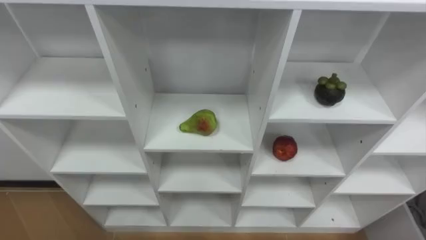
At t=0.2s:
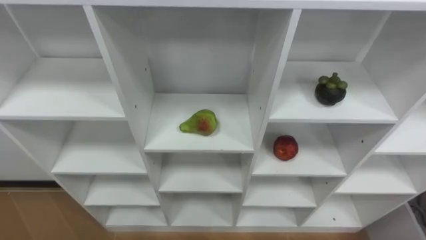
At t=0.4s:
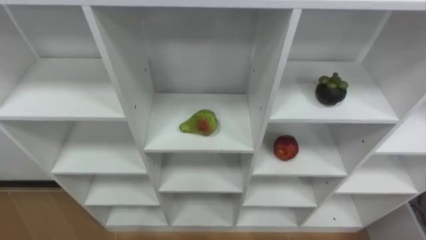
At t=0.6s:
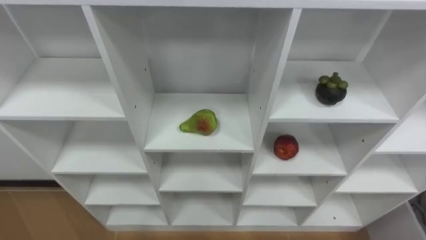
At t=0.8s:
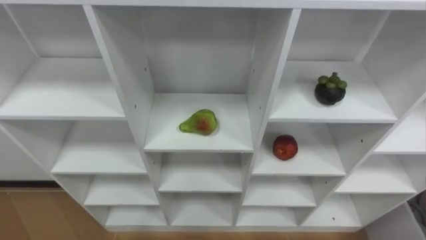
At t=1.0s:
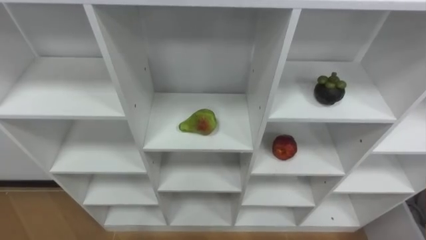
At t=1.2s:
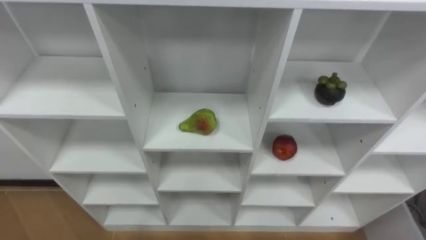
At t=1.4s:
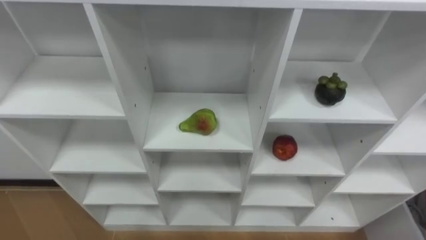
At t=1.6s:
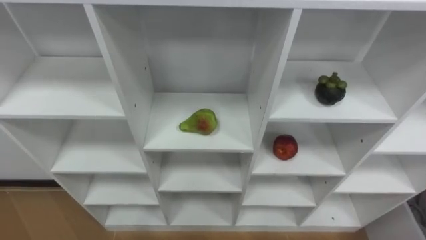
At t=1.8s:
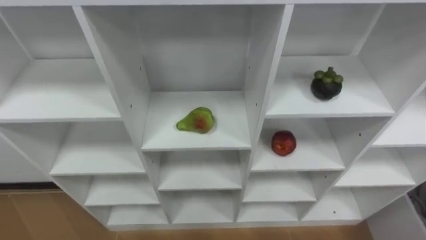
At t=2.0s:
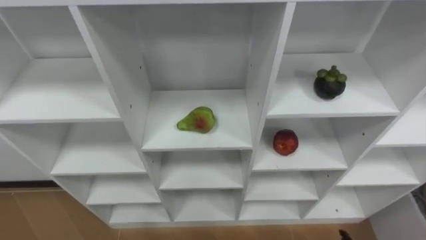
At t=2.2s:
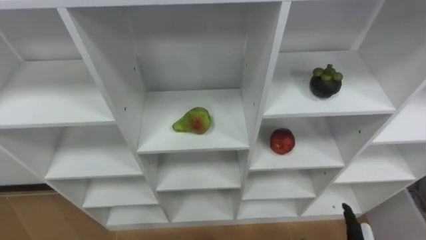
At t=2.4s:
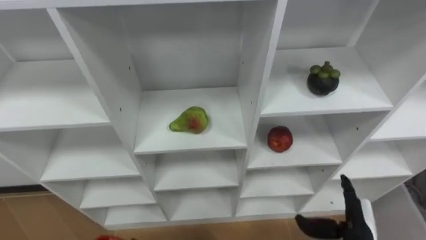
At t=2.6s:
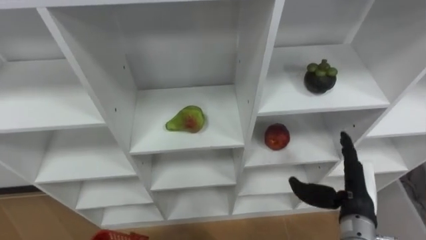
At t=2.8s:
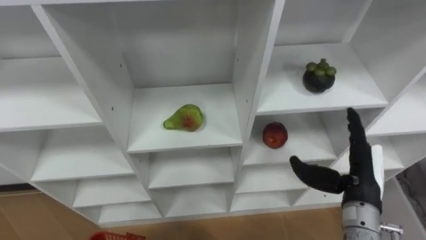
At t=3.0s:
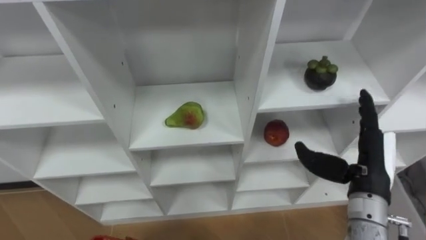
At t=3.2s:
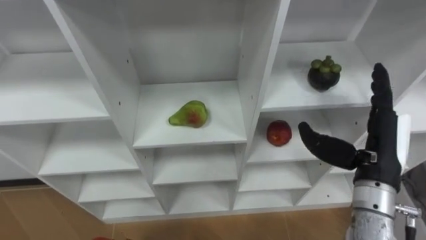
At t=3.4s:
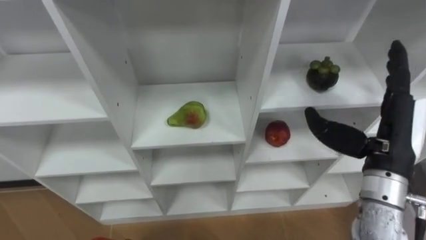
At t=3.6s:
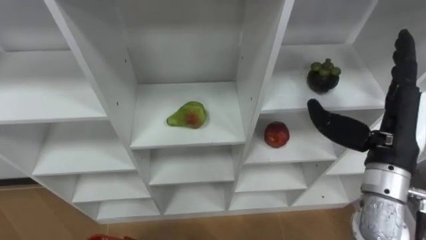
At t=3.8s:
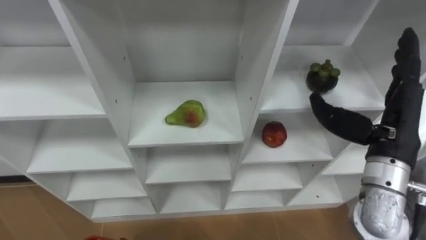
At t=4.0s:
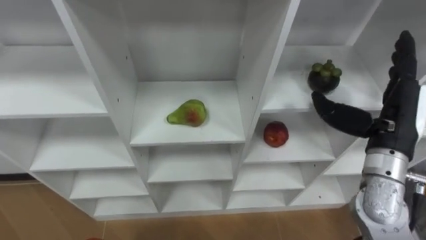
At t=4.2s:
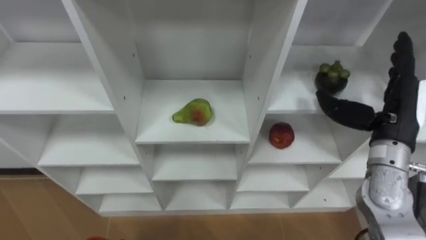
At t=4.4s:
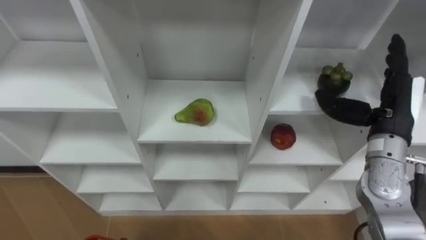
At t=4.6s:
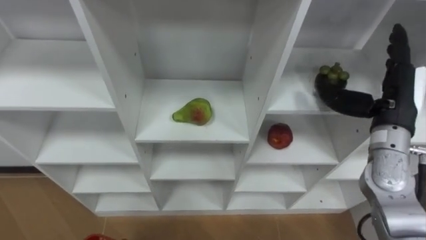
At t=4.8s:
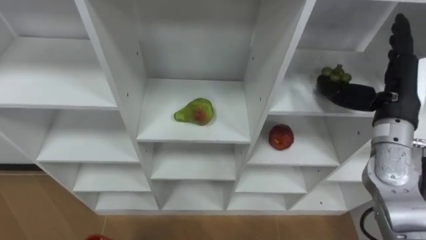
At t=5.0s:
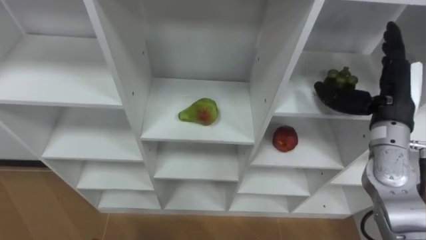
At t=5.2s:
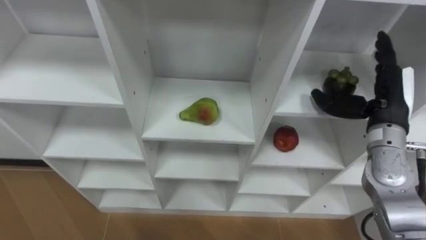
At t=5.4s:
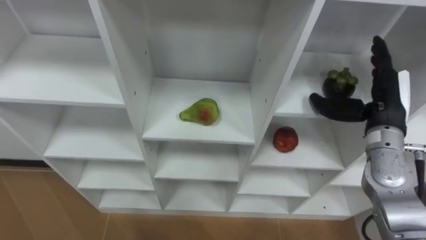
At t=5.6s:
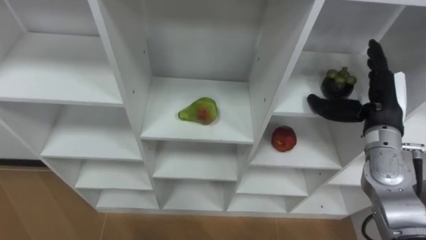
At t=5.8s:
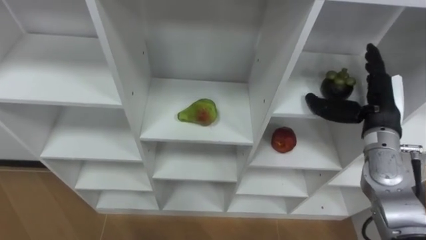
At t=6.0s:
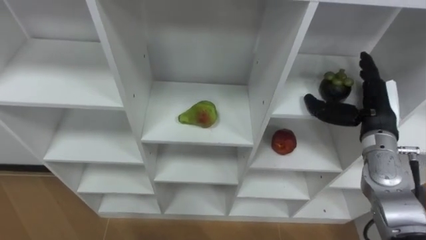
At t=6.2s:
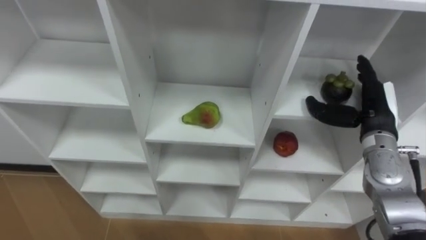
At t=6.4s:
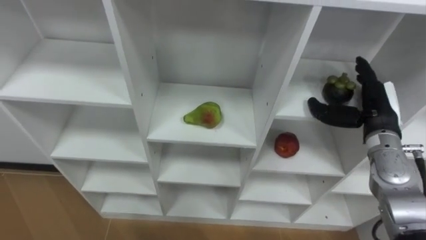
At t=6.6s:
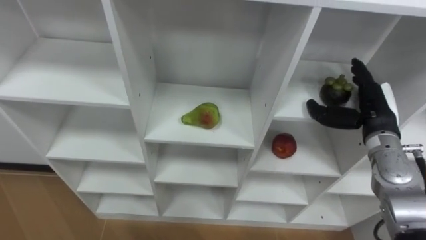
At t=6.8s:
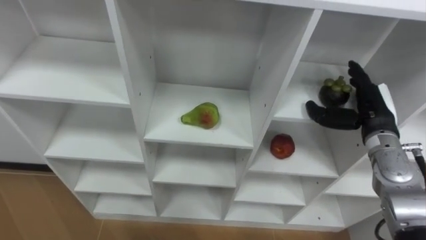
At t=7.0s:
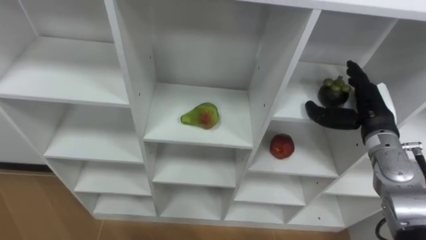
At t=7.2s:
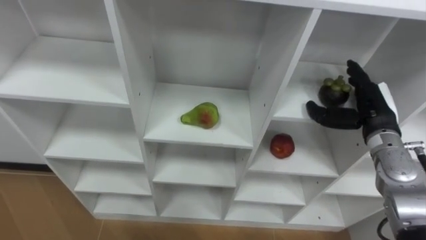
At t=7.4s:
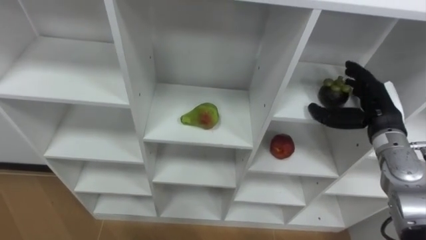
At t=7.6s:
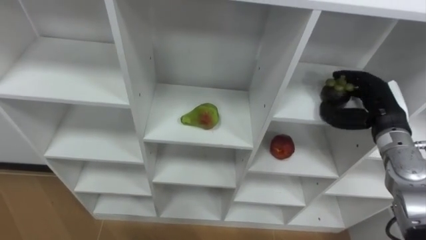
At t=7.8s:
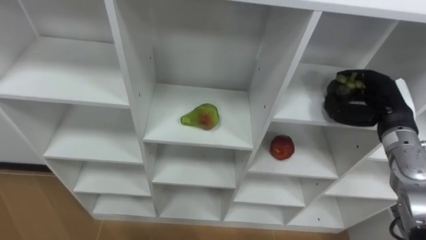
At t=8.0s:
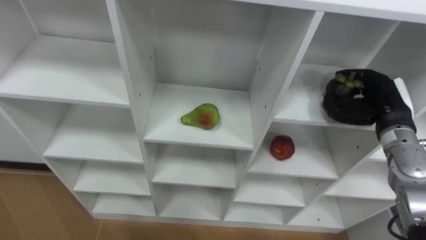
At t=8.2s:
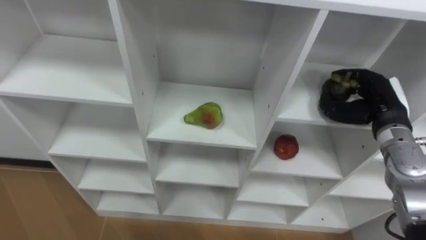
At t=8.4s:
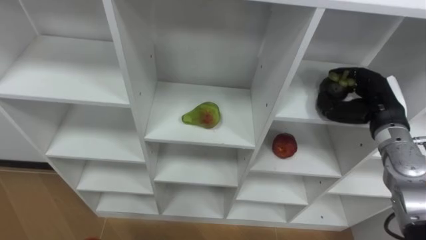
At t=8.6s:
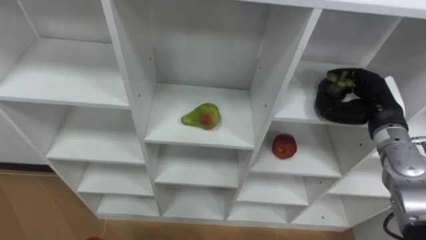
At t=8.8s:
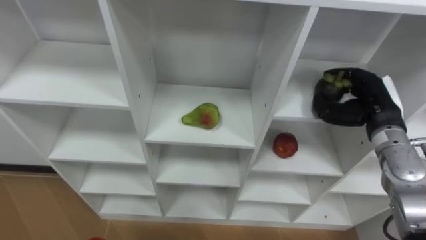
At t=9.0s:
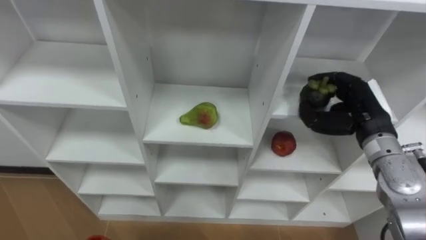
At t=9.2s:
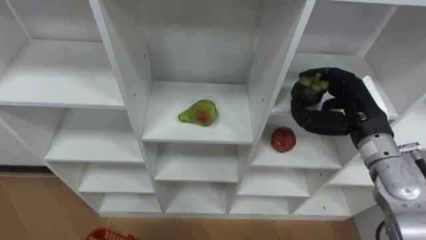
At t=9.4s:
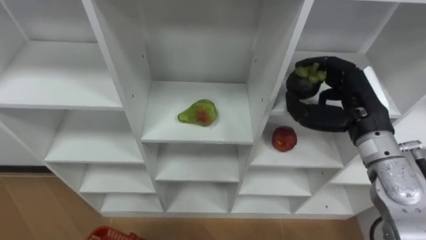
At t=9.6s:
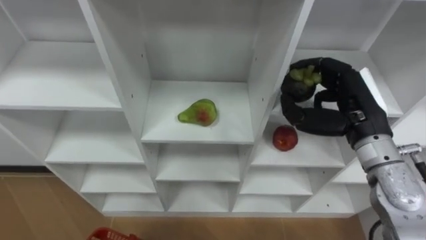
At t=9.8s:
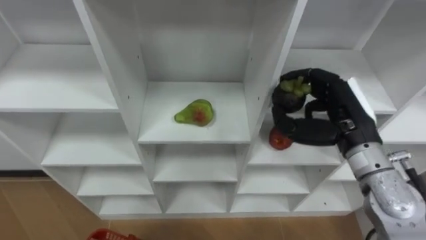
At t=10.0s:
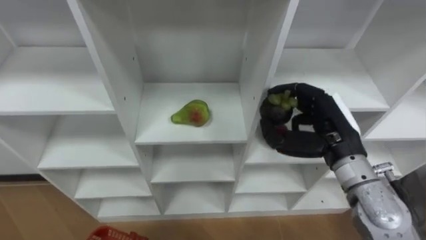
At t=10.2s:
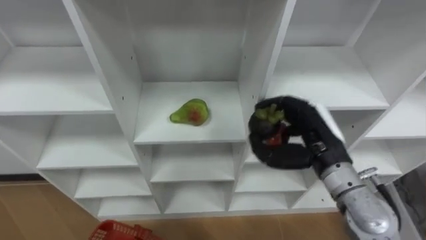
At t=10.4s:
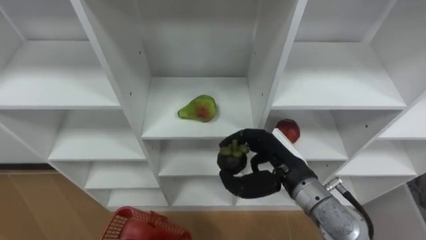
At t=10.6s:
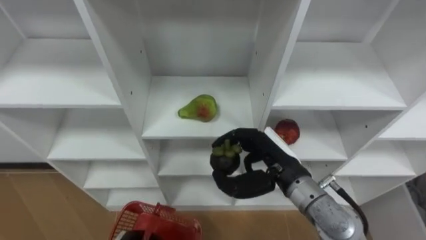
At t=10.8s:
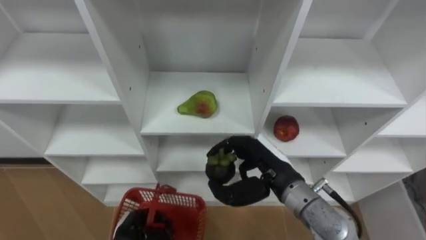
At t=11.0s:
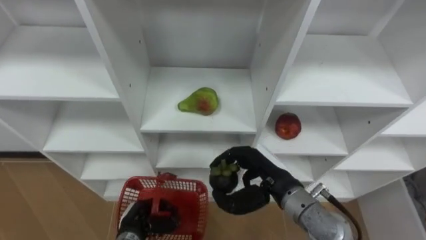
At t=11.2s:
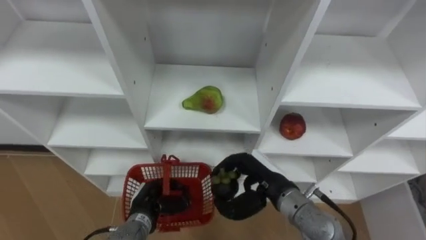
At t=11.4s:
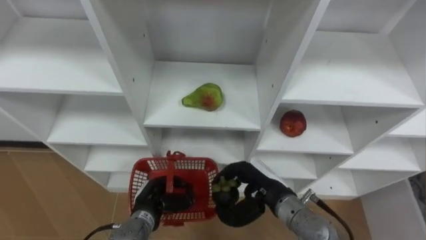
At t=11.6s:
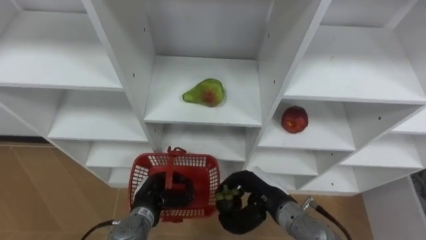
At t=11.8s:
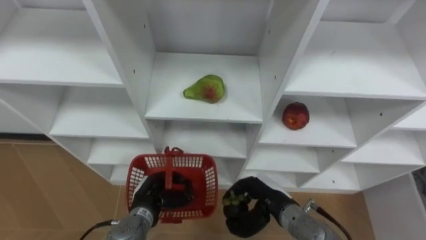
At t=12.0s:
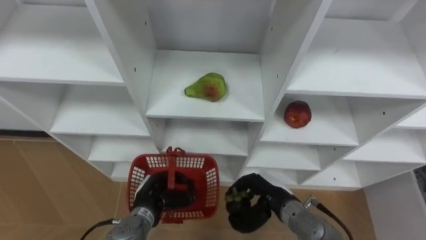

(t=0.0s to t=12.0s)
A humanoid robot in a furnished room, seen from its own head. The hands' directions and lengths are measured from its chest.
Task of the whole recording: Hold the basket and collect the fruits from 3 different cells of the closet into it.
t=3.0s - t=4.4s: The right hand moves forward and upward, approximately 10 cm.
t=9.0s - t=10.4s: The right hand shifts approximately 15 cm to the left and backward.
t=10.4s - t=12.0s: The right hand is displaced downward by approximately 10 cm.

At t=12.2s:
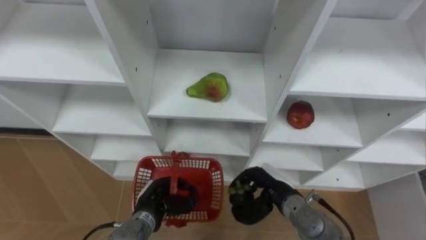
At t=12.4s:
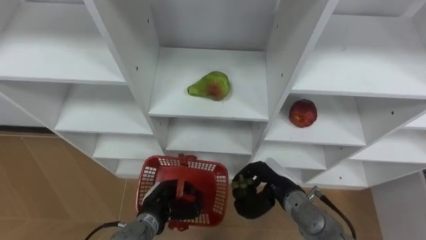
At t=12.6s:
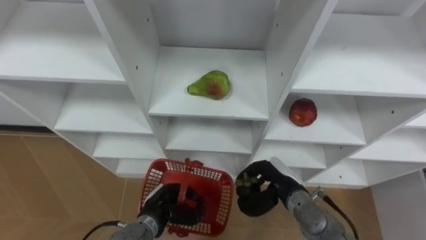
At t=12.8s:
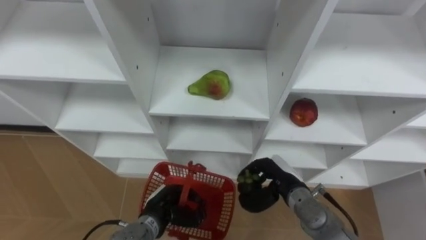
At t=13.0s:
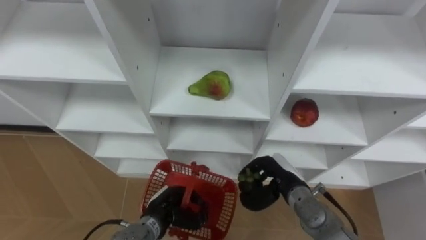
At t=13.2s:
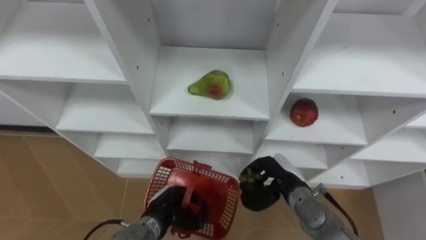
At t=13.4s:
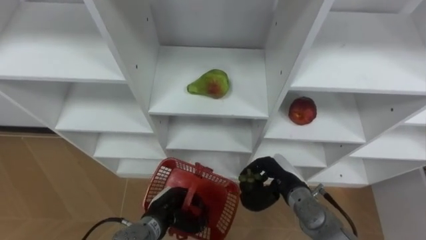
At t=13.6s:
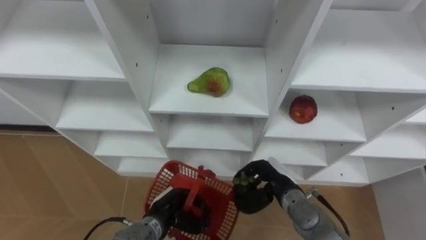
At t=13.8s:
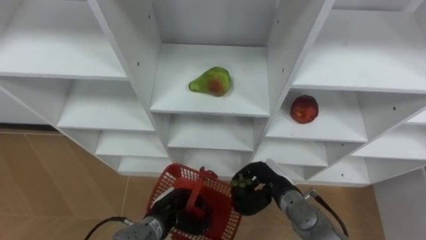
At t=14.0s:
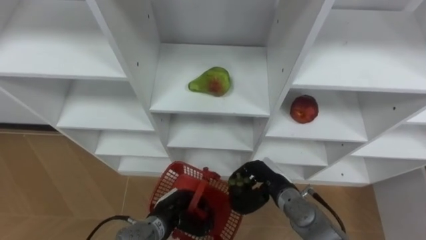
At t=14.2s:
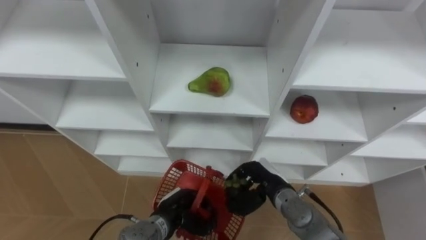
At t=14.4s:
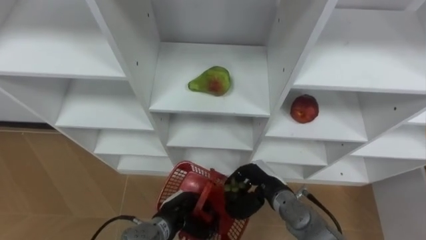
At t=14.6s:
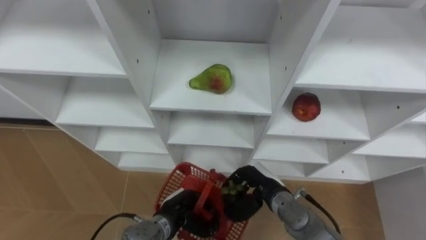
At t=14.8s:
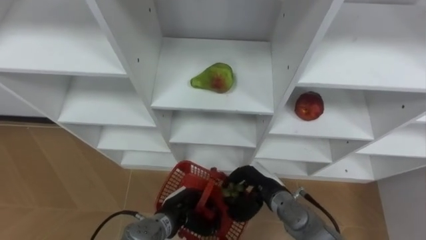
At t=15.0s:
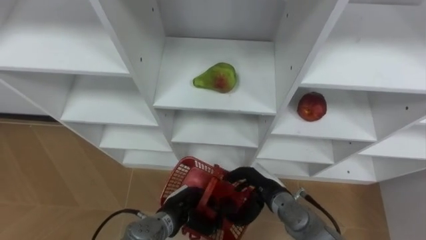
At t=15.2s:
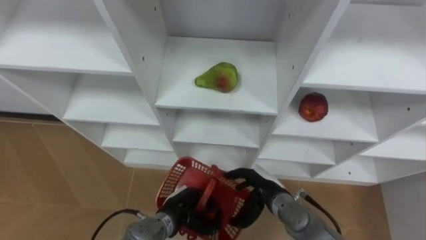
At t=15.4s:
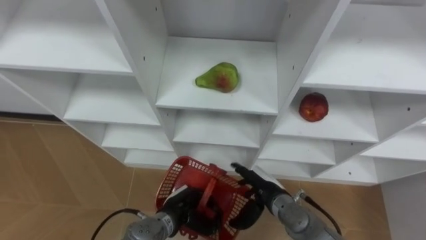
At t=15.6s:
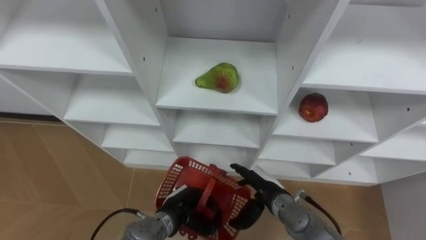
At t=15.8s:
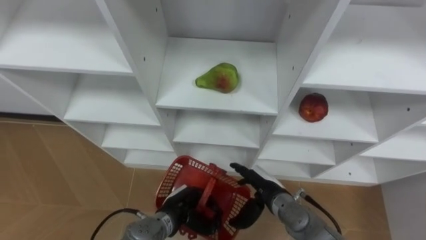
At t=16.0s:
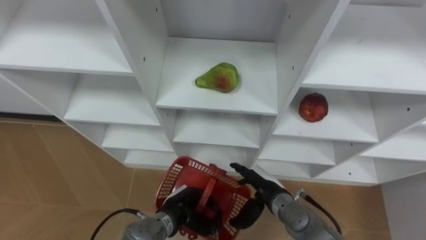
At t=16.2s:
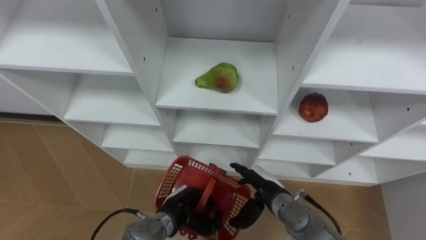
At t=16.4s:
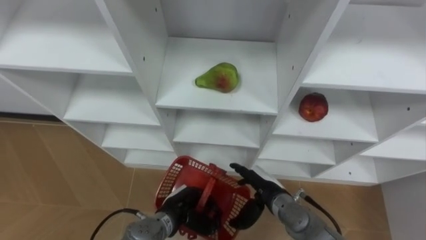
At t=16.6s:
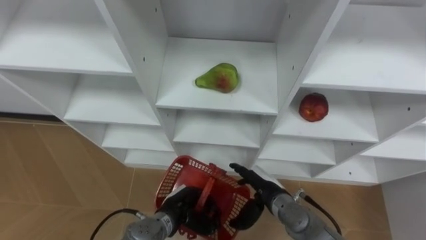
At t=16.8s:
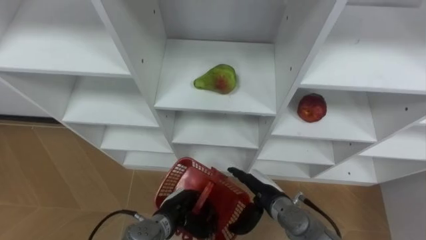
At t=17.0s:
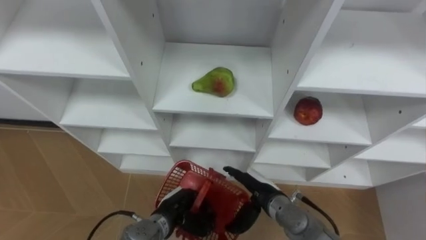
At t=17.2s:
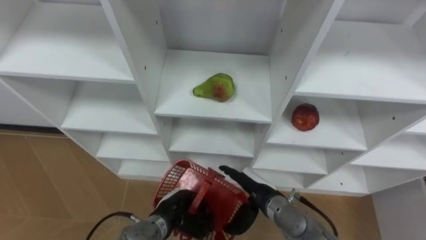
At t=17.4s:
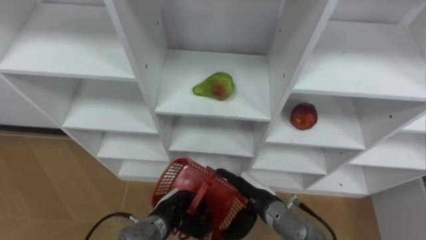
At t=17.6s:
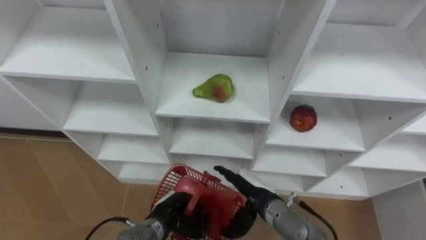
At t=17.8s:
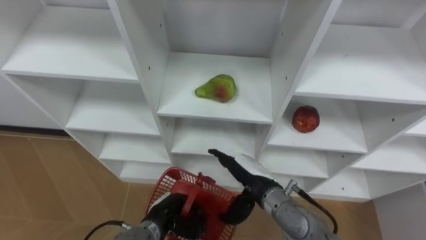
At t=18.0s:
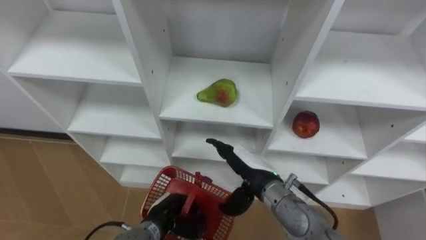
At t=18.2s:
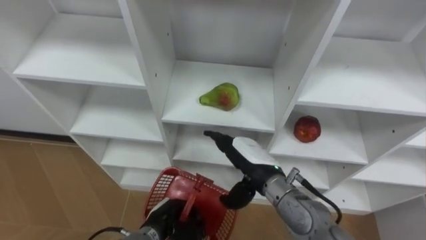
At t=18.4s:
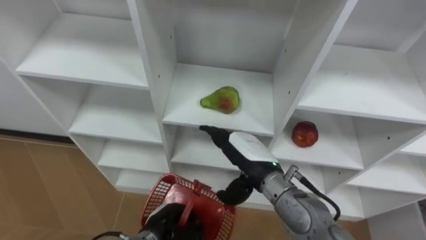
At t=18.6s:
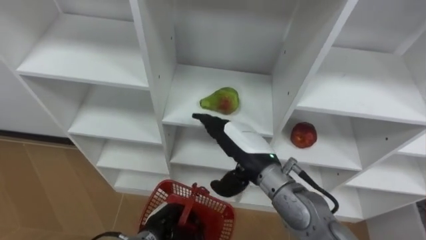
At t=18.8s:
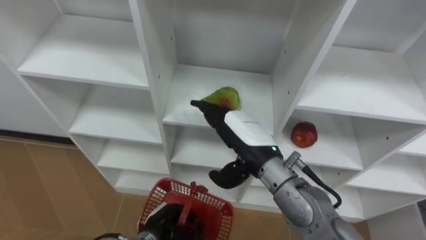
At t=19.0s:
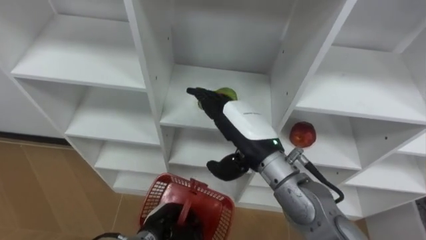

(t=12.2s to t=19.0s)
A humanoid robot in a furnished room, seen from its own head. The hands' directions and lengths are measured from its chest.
Task of the whole recording: Hold the basket and collect the fruits from 3 different cells of the closet into it.
t=15.0s - t=16.2s: The right hand opens its fingers.
t=17.6s - t=19.0s: The right hand is displaced upward by roughly 15 cm.
